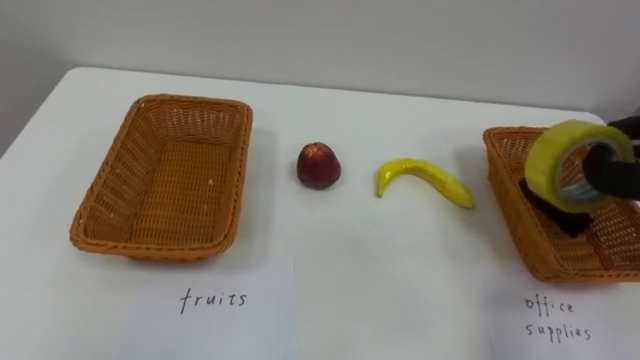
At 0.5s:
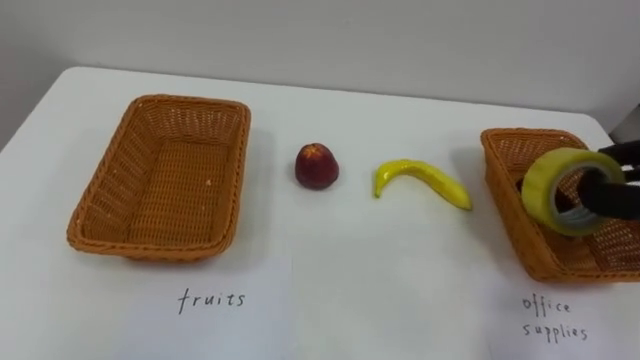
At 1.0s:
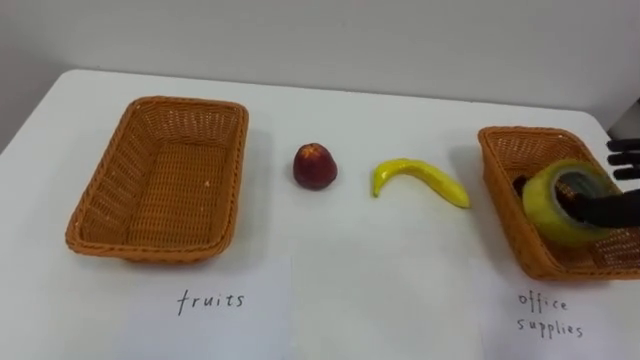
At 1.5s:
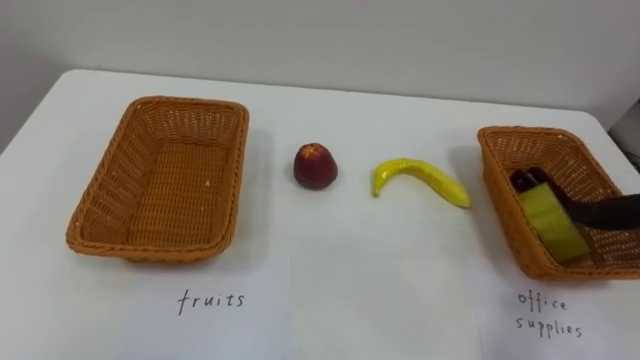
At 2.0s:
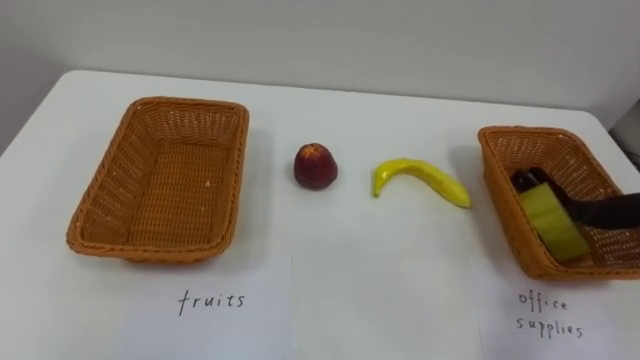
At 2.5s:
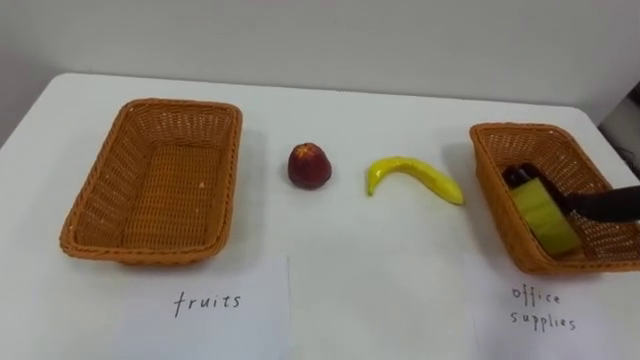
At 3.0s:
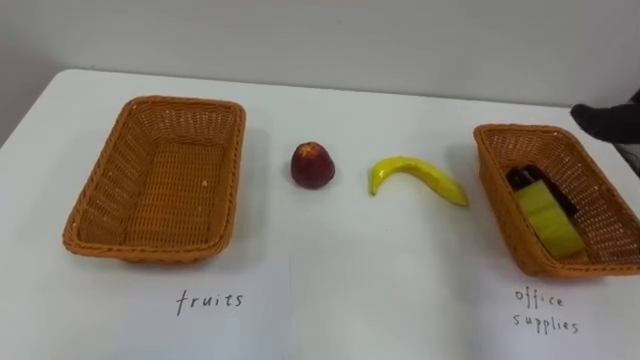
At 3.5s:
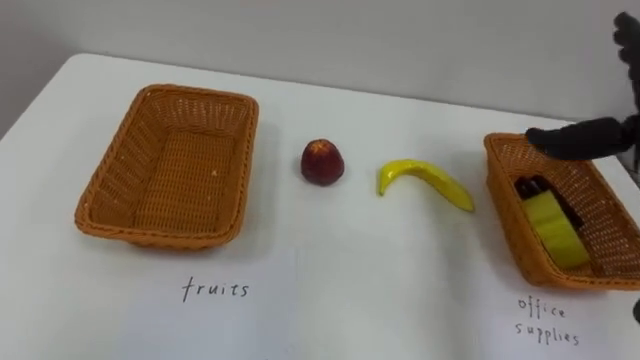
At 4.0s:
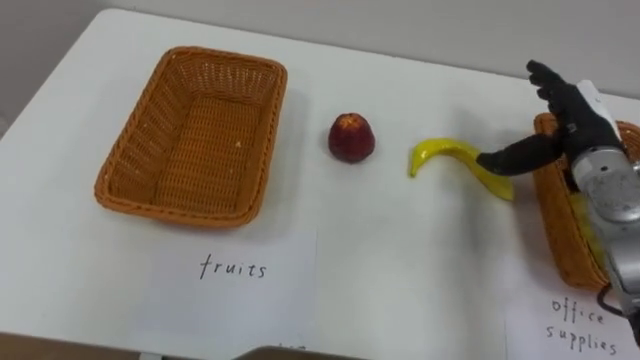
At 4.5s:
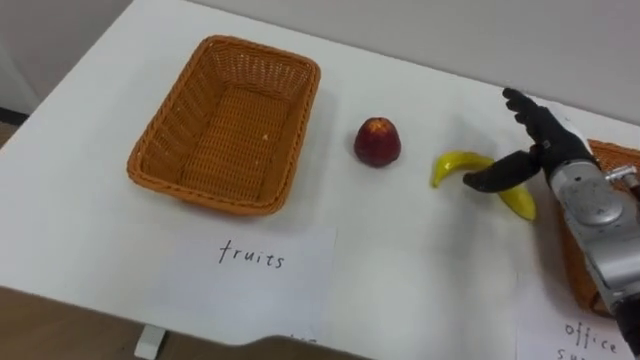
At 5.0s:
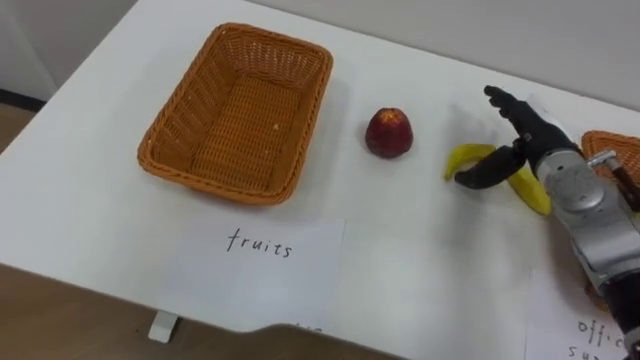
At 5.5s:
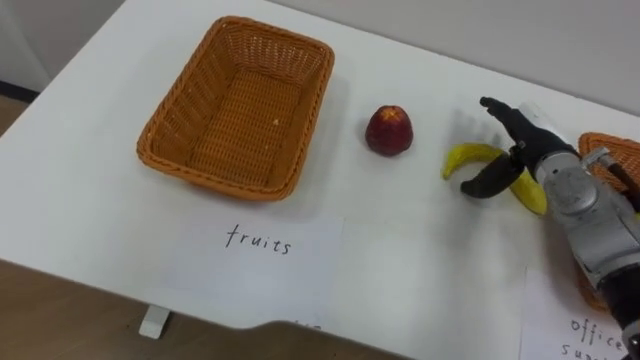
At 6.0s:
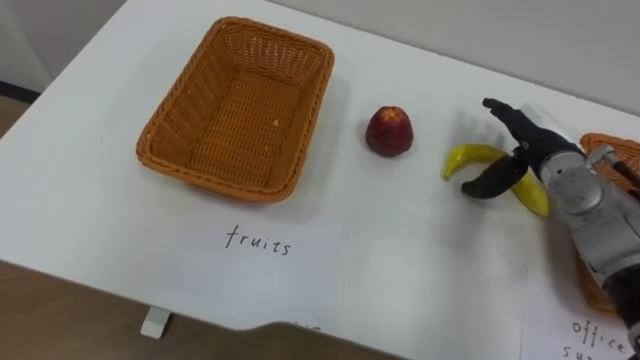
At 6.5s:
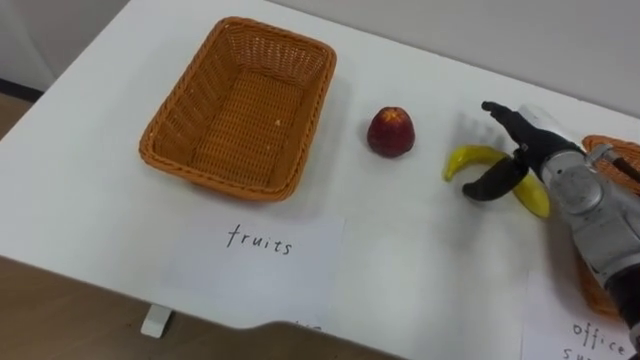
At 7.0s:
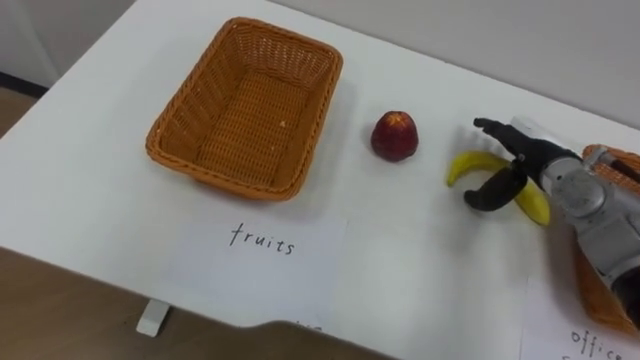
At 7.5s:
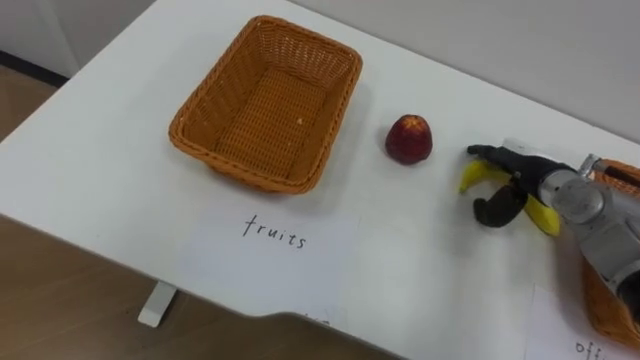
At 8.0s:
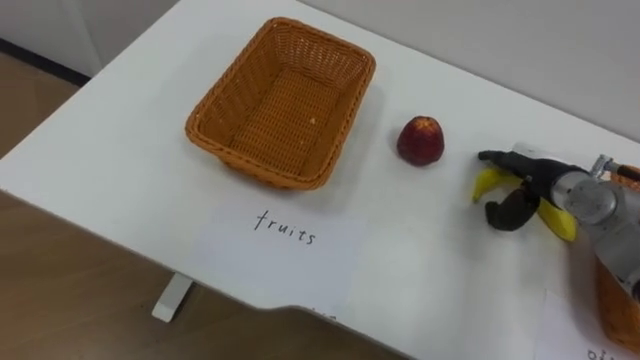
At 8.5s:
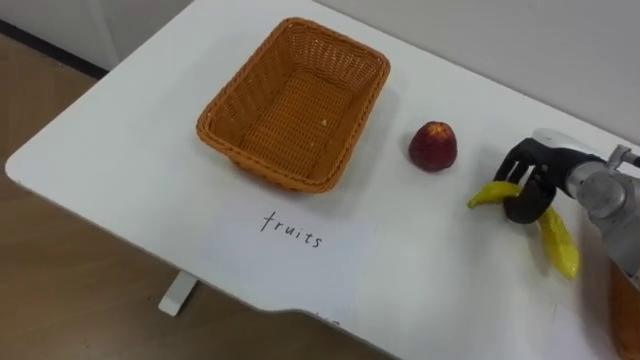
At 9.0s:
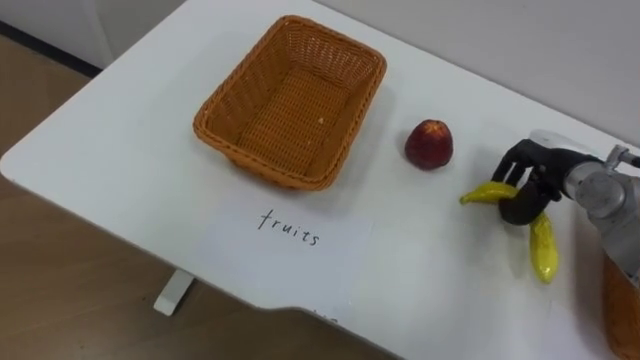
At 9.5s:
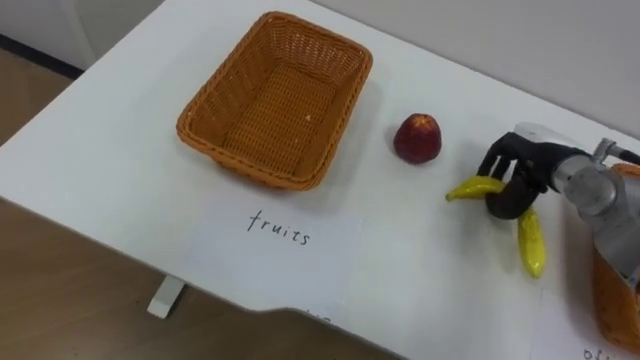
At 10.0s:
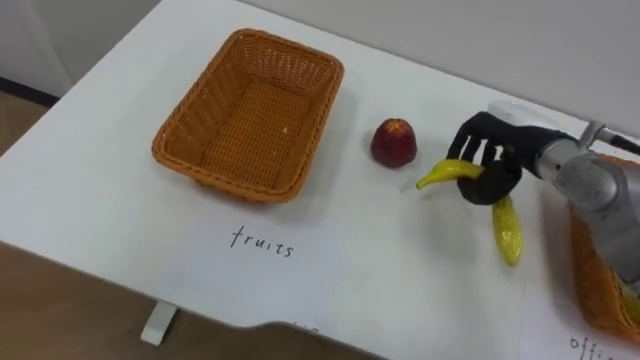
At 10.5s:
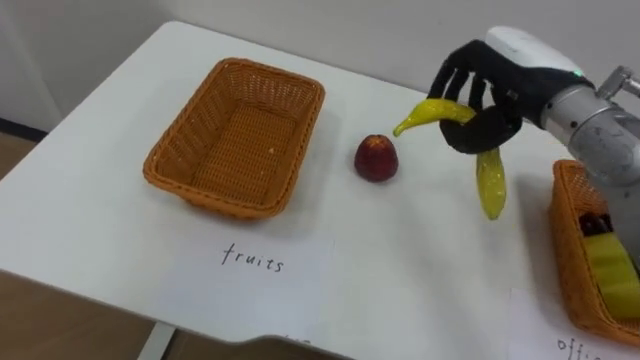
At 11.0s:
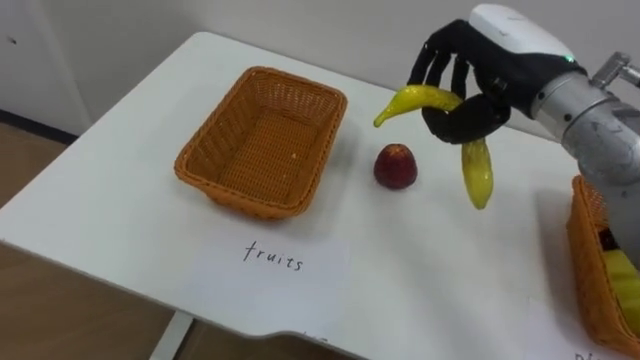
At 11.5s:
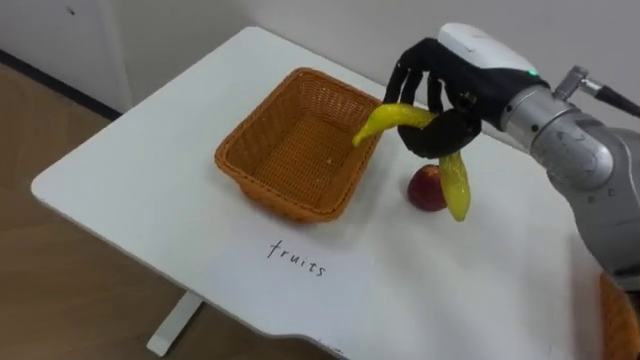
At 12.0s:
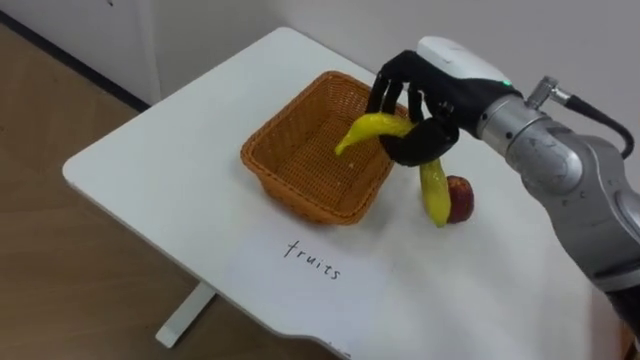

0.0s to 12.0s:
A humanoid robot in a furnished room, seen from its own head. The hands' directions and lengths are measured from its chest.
Task of the whole recording: Separate the items on the table and place them into the two baskets.
4.0s to 6.0s: The right hand shifts by some 5 cm.
8.0s to 10.0s: The right hand heads upward, covering some 5 cm, and closes.
10.0s to 12.0s: The right hand shifts approximately 15 cm to the left and upward.

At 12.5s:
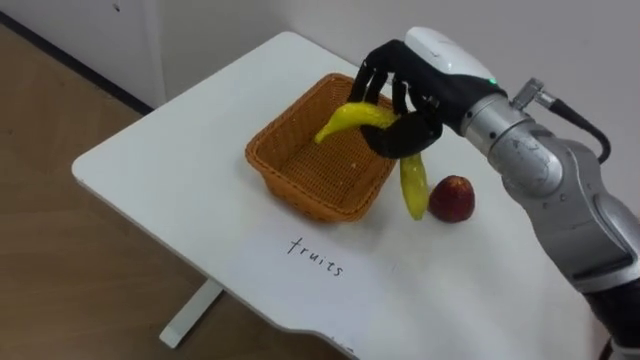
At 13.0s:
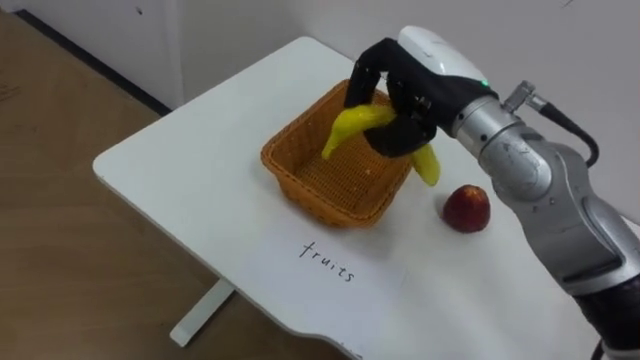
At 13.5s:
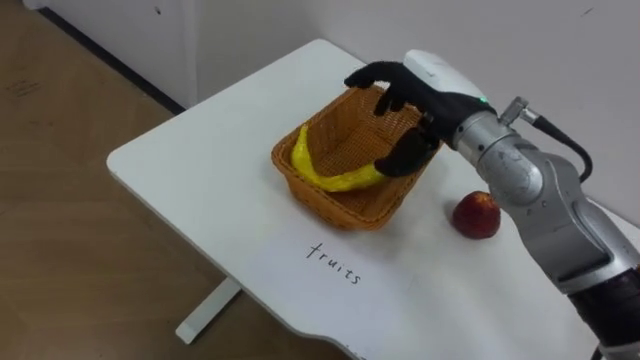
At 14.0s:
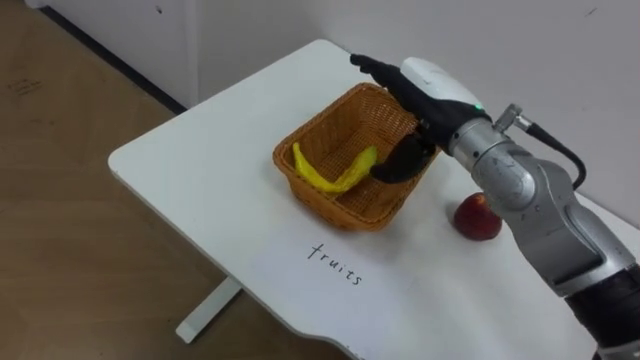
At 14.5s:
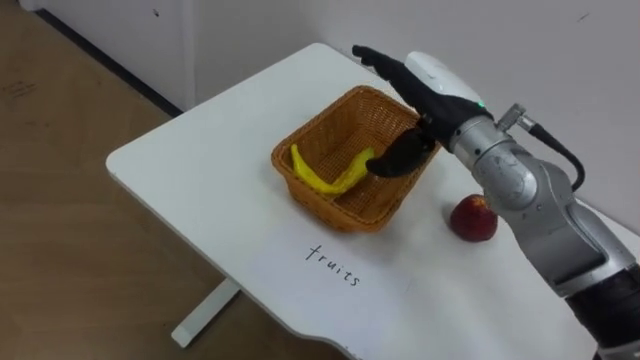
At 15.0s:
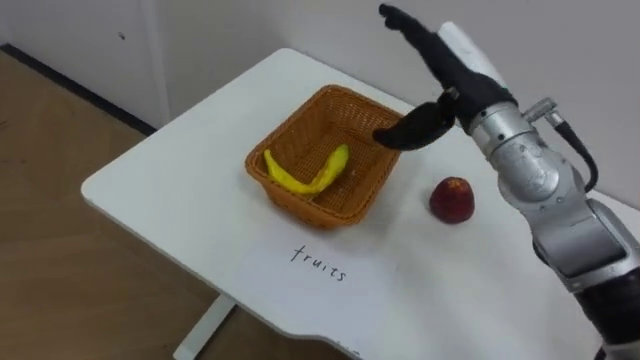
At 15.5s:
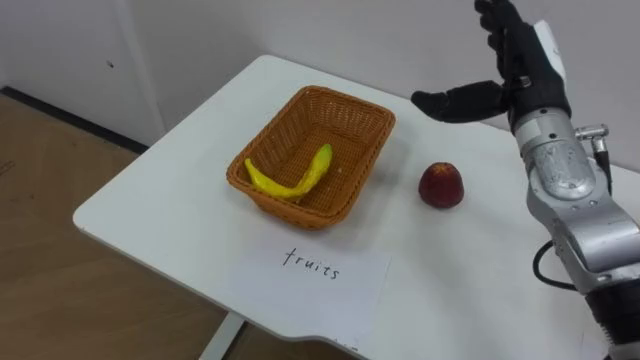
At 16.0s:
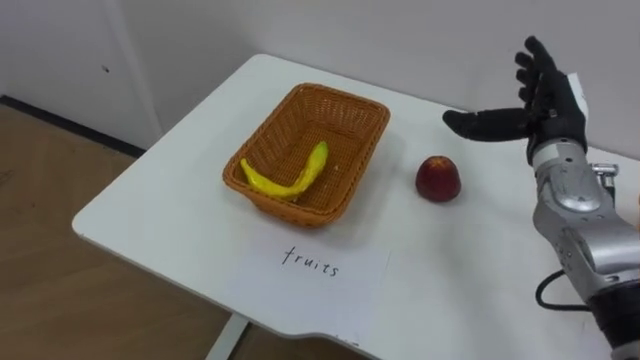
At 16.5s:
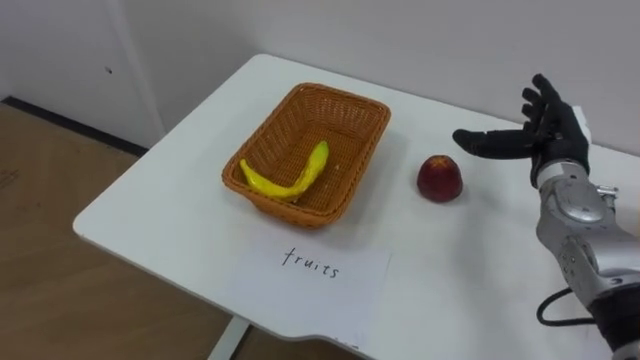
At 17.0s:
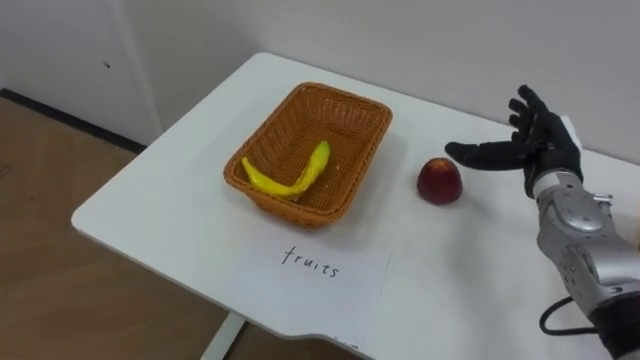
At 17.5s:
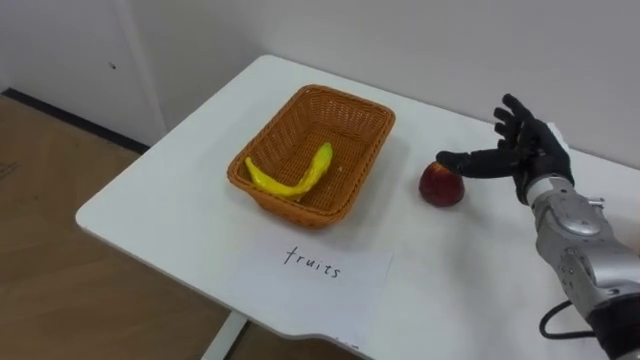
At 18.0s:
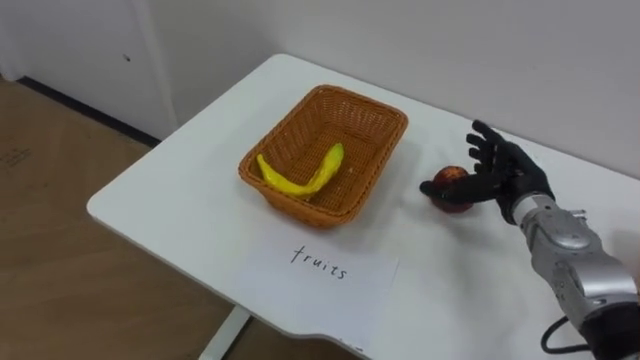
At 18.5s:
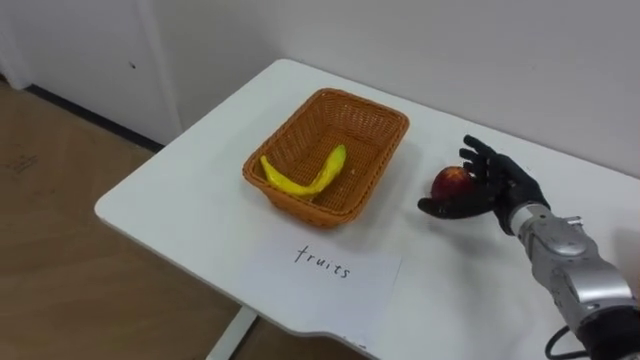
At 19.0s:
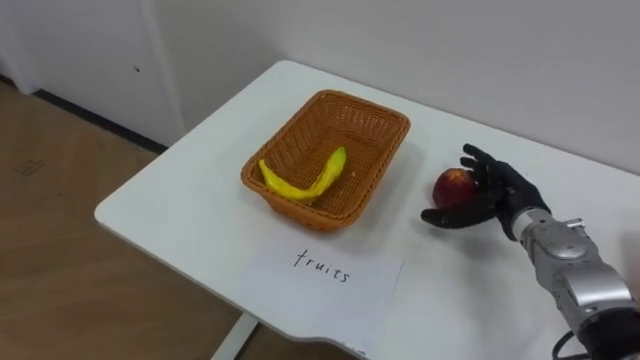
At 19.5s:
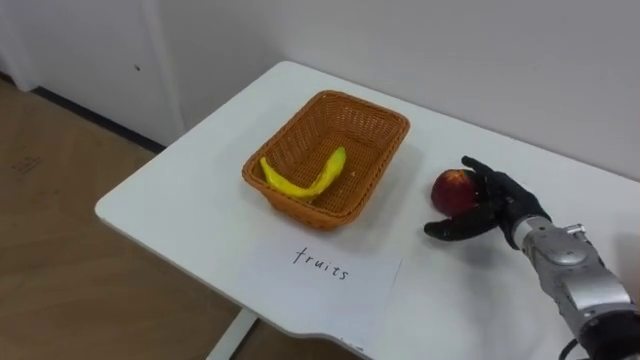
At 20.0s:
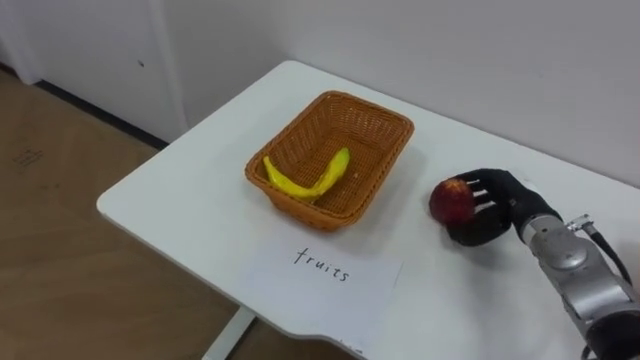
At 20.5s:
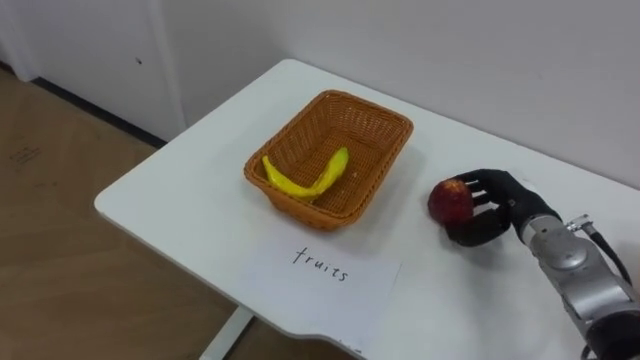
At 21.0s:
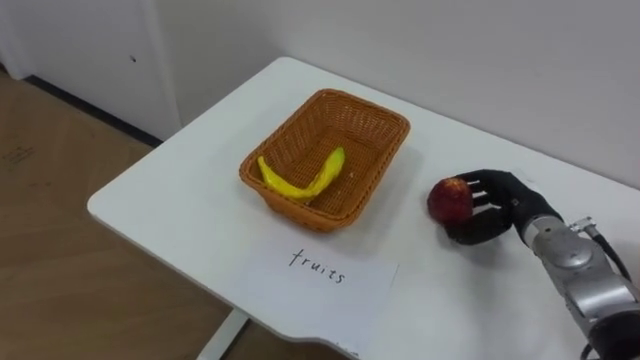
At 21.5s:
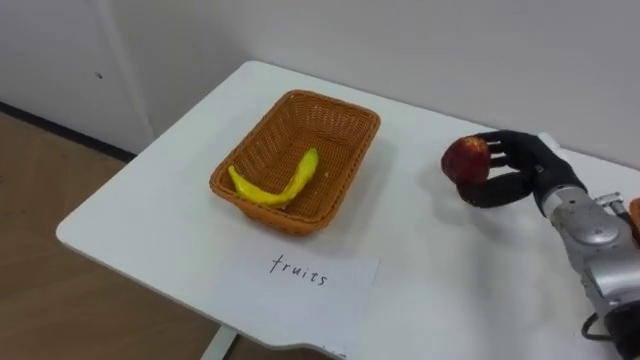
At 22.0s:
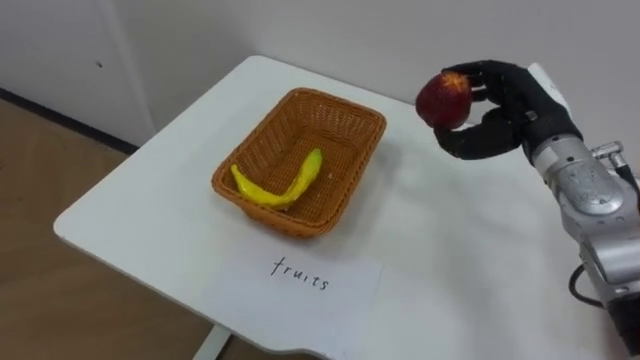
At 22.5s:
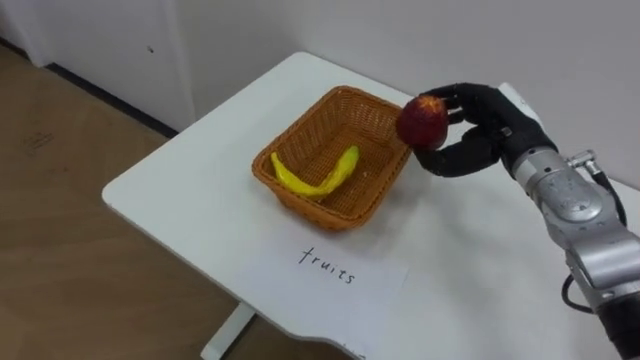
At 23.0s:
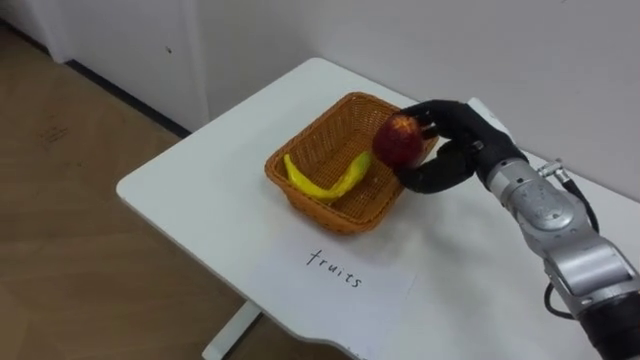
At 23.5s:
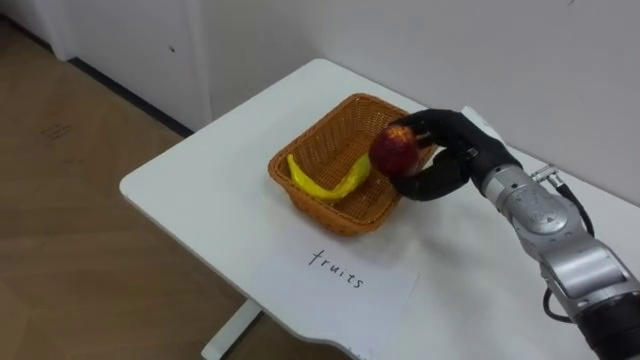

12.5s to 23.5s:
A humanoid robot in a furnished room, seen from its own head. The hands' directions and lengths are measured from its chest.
Task of the whole recording: Separate the items on the table and place them into the two baskets.
12.5s to 14.5s: The right hand opens its fingers.
14.5s to 16.0s: The right hand moves to the right, about 15 cm.
16.0s to 18.0s: The right hand heads downward, covering approximately 10 cm.
18.0s to 20.0s: The right hand closes up.
20.0s to 21.5s: The right hand moves roughly 5 cm.
21.5s to 23.5s: The right hand goes roughly 10 cm to the left.
